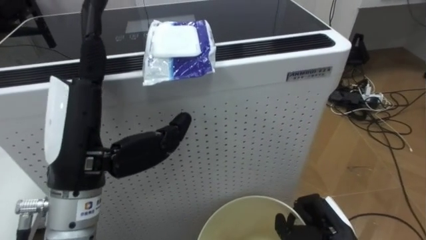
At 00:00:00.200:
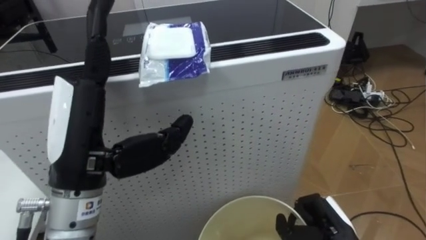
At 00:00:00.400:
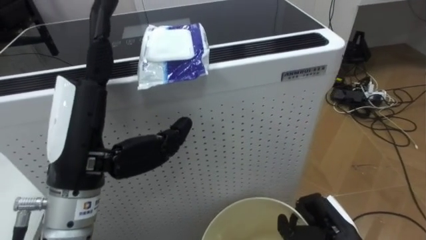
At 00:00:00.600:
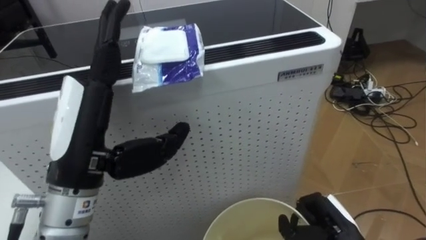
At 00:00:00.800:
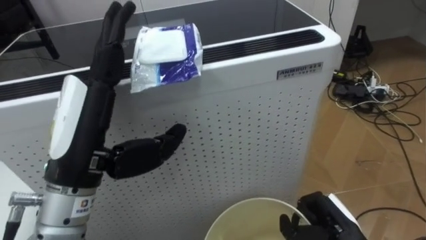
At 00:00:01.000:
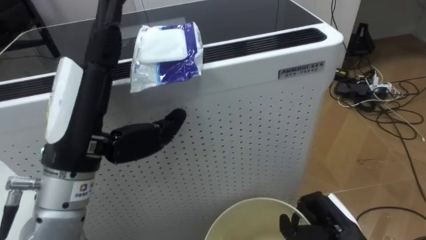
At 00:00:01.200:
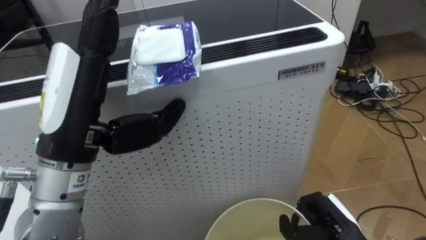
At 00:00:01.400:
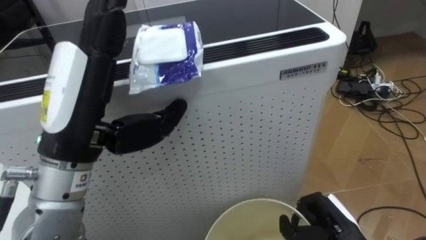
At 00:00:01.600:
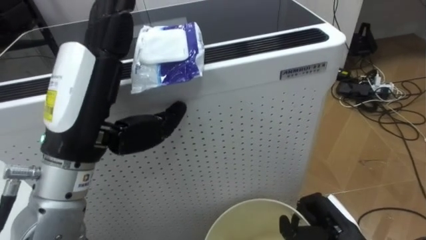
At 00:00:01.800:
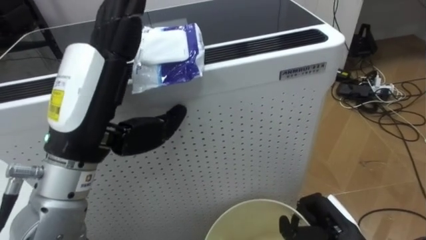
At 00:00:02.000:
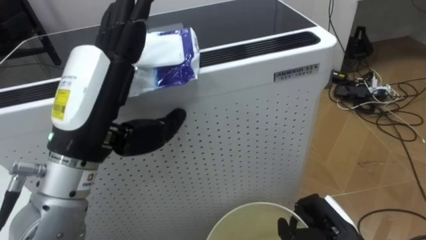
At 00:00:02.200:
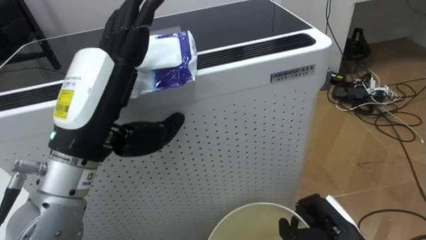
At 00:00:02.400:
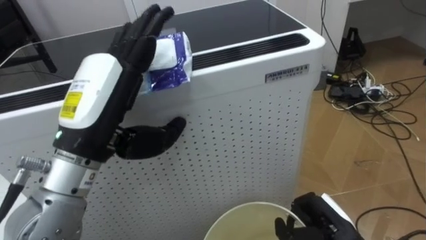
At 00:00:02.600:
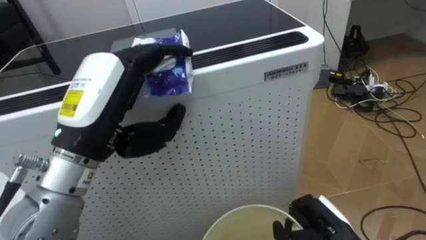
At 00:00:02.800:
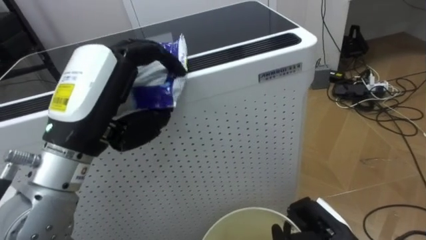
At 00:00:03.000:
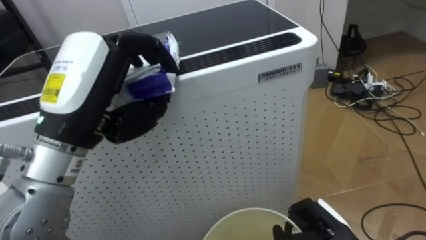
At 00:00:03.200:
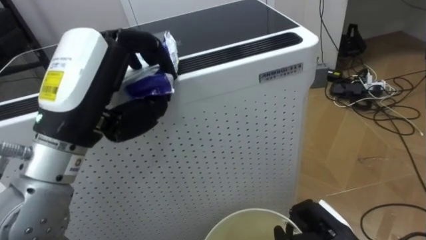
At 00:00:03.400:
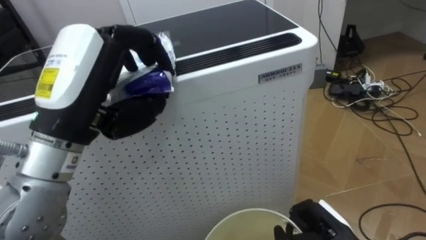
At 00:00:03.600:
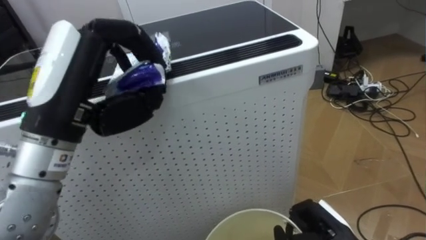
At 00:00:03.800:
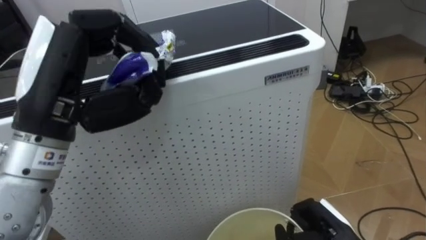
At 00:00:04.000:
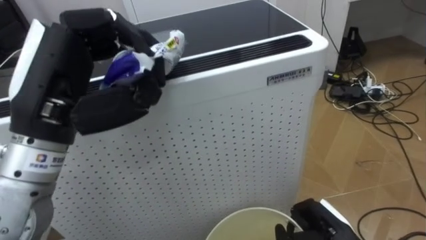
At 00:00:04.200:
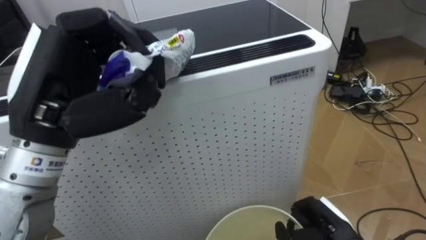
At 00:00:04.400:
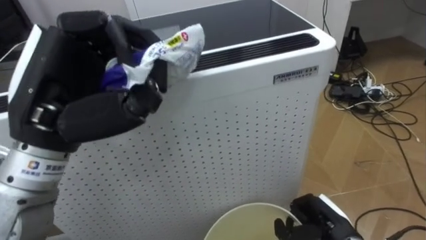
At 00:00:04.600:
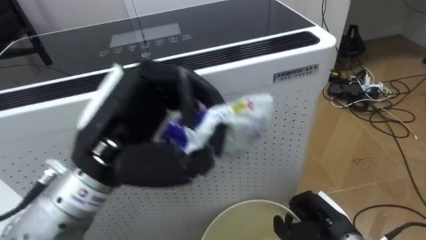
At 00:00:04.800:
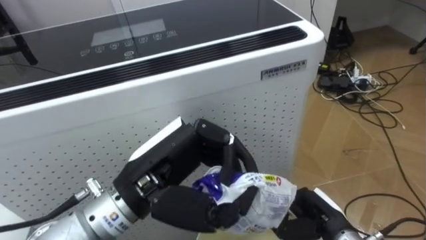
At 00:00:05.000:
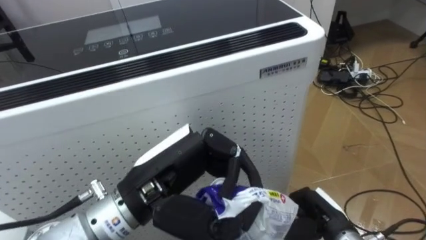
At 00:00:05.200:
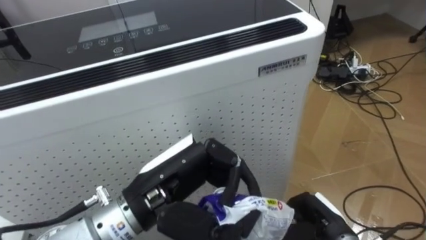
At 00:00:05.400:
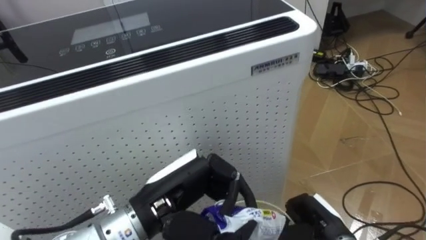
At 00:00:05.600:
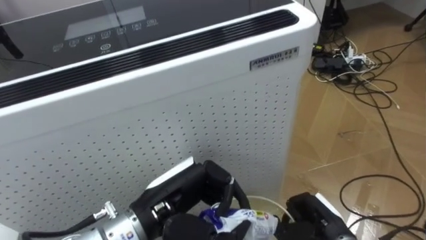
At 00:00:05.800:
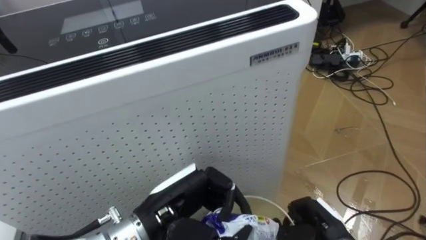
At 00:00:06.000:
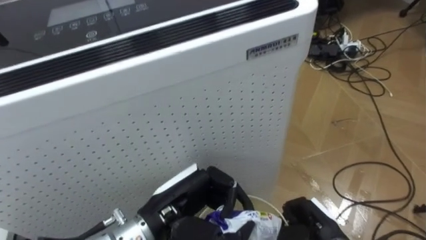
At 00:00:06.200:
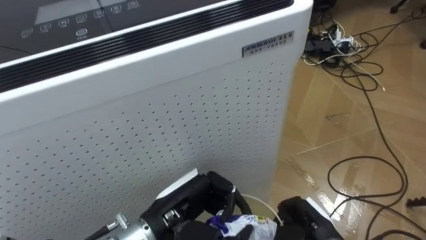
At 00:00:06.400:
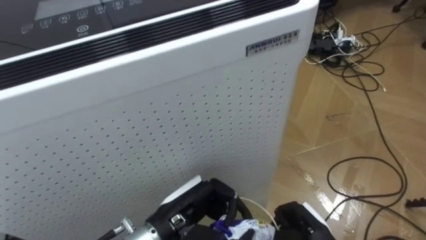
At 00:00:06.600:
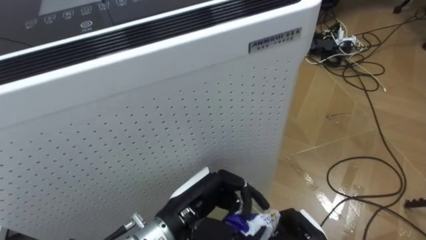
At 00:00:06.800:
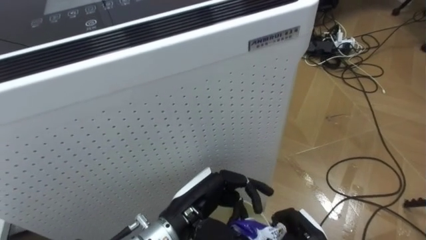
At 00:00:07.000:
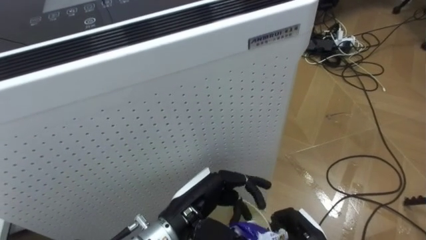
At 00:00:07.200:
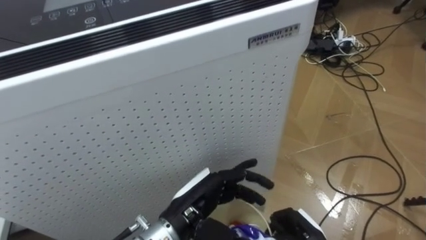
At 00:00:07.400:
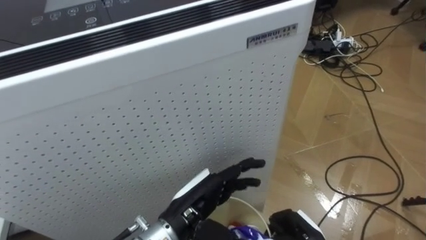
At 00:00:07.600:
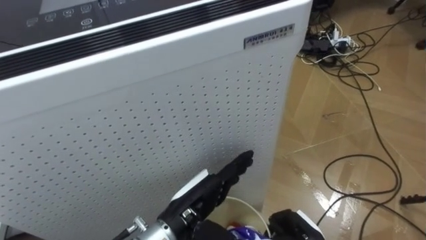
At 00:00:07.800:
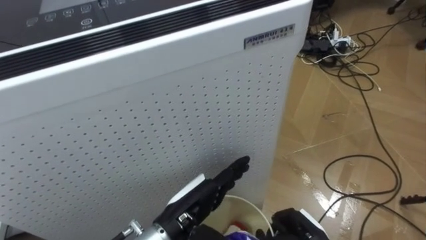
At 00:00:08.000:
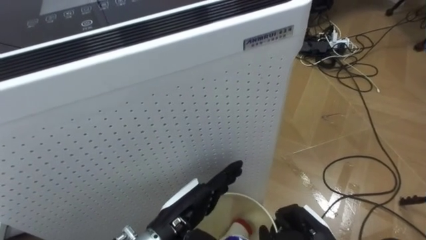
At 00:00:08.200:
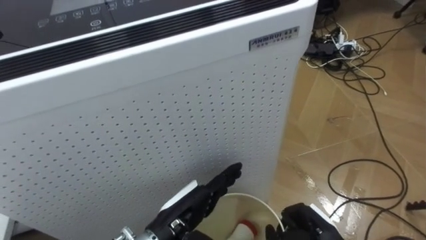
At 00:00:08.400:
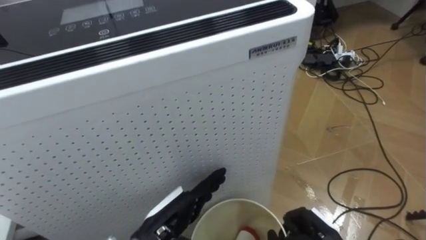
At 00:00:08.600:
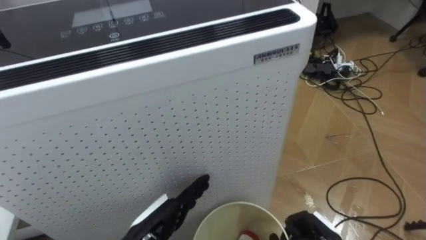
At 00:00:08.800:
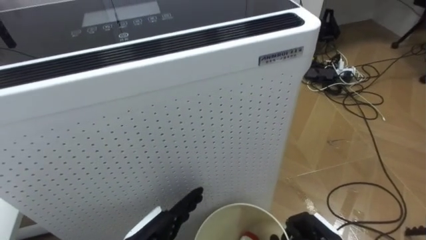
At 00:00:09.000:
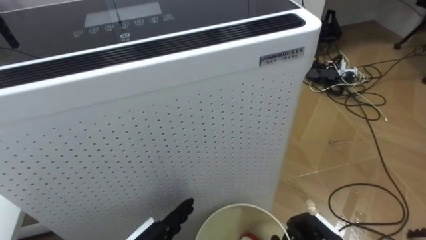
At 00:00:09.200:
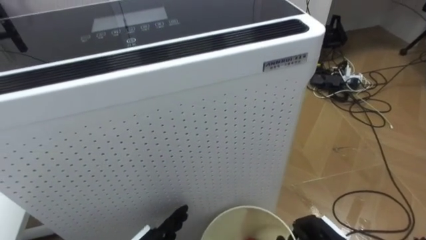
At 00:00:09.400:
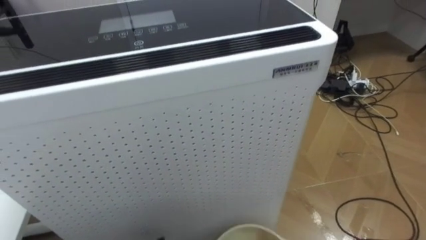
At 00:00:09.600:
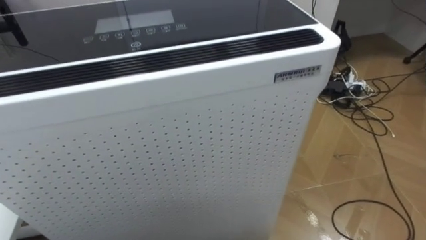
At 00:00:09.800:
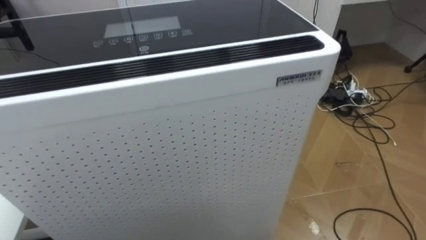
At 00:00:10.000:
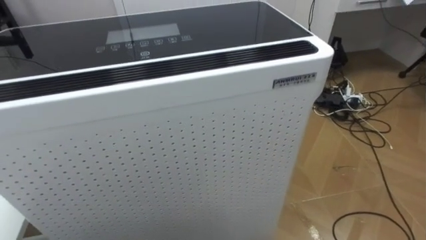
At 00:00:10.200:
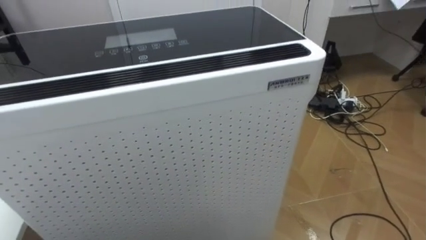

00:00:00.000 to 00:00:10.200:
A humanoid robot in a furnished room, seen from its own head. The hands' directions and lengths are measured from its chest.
Task of the whole recording: Pick up the light blue package, the candy box, and the dark blue package separately, and put them into the trash can held in your right hand.
00:00:01.400 to 00:00:03.000: The left hand closes up.
00:00:04.400 to 00:00:05.800: The left hand heads downward and to the right, covering approximately 20 cm.
00:00:05.800 to 00:00:07.200: The left hand opens its fingers.
00:00:07.200 to 00:00:08.800: The left hand heads to the left and downward, covering some 10 cm.
